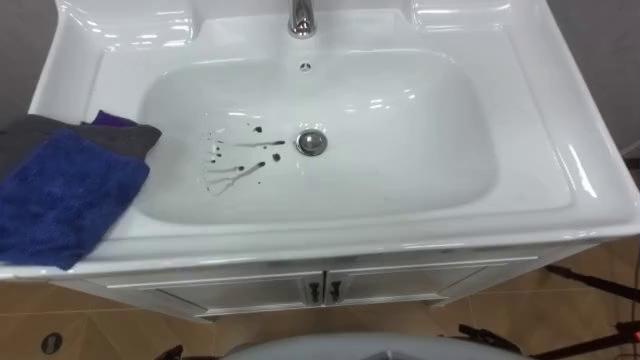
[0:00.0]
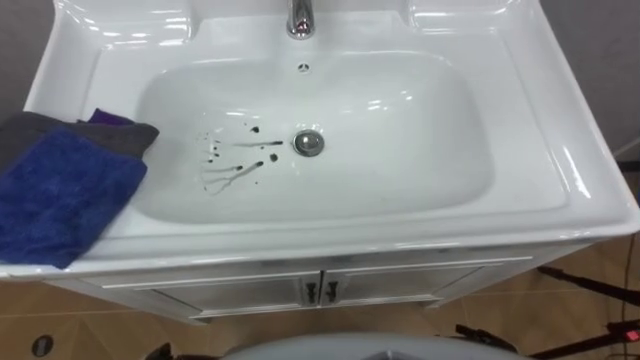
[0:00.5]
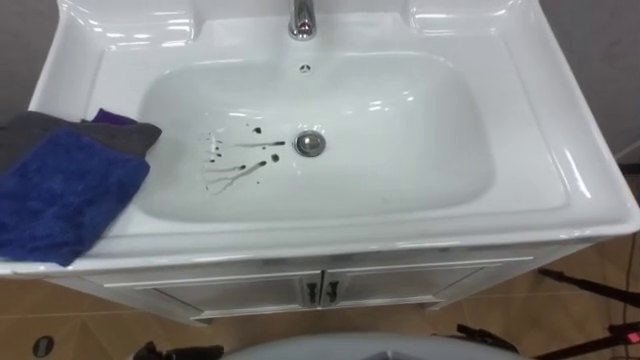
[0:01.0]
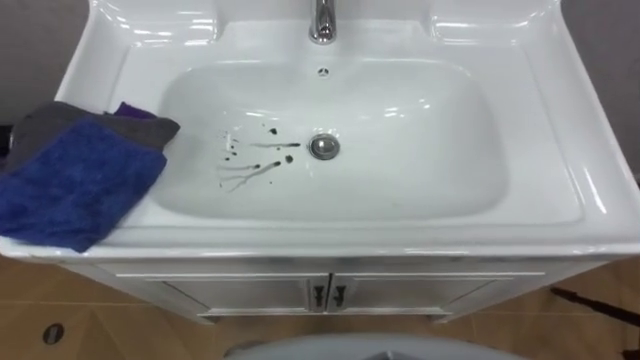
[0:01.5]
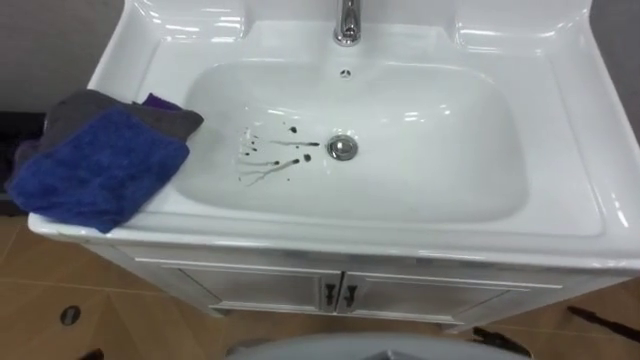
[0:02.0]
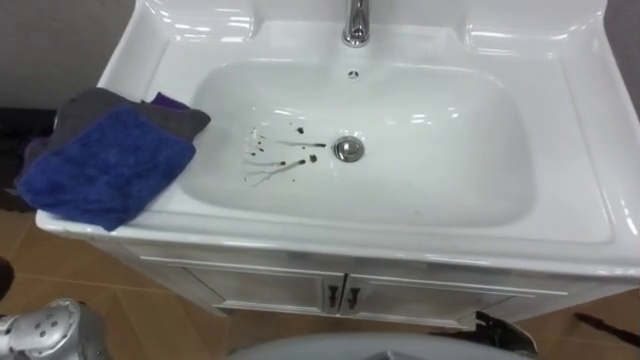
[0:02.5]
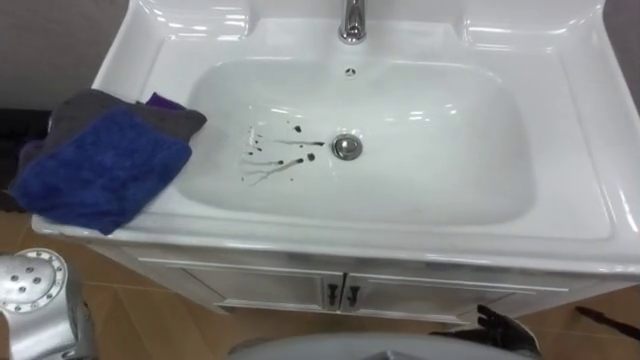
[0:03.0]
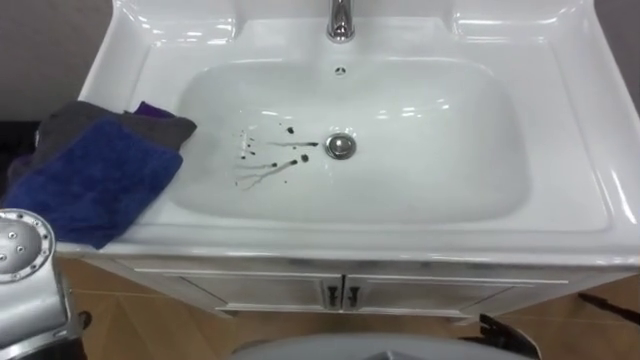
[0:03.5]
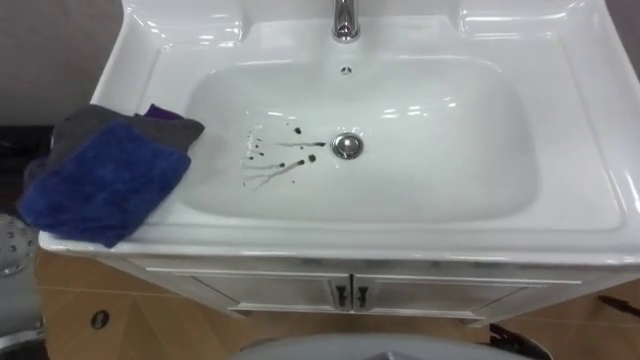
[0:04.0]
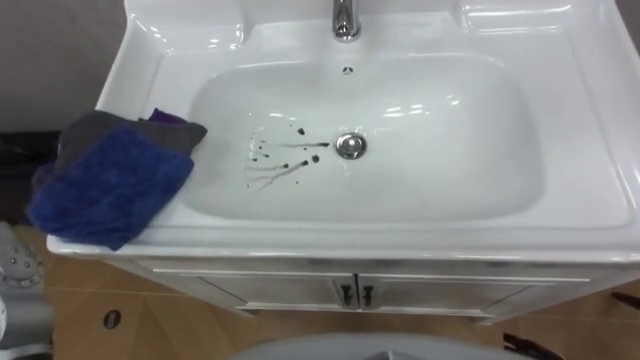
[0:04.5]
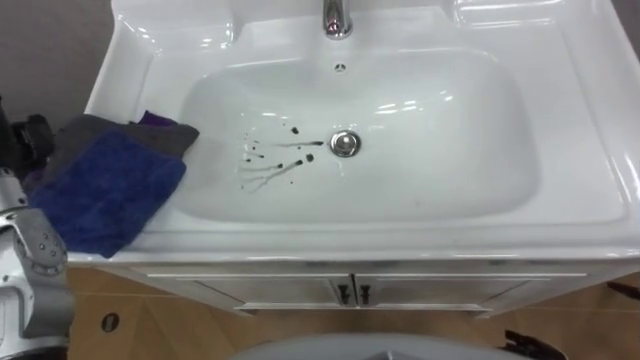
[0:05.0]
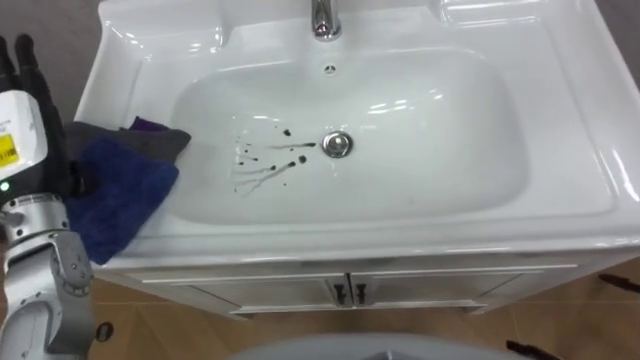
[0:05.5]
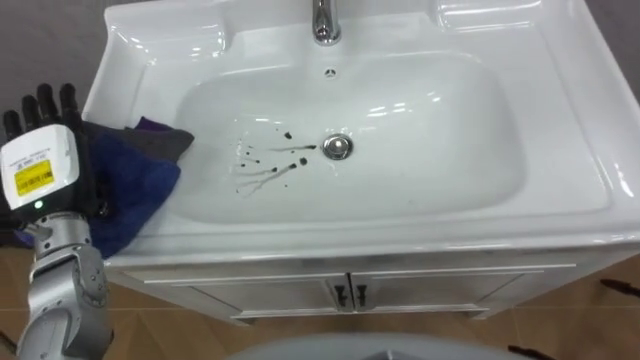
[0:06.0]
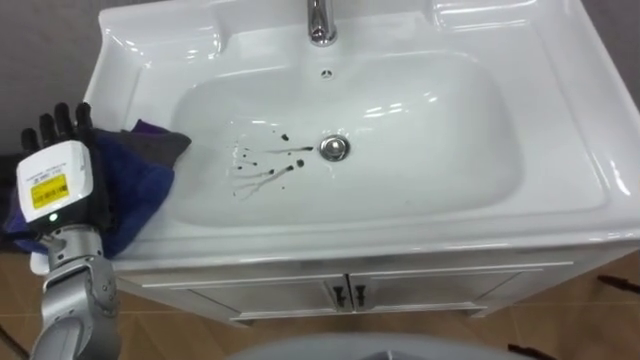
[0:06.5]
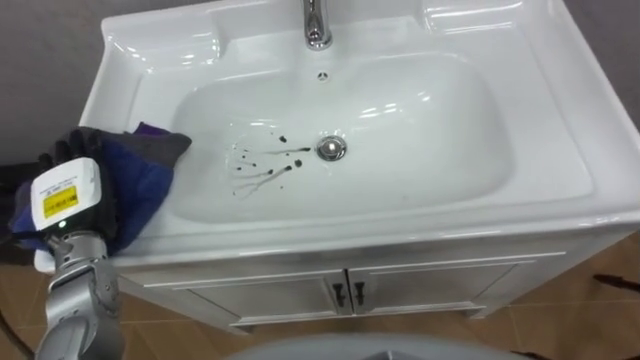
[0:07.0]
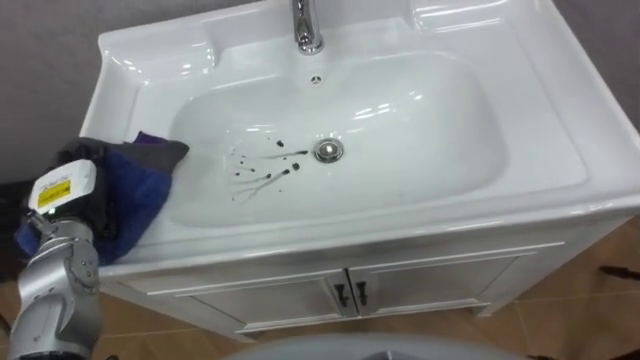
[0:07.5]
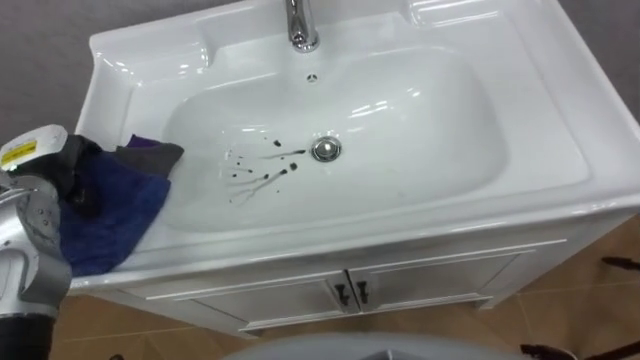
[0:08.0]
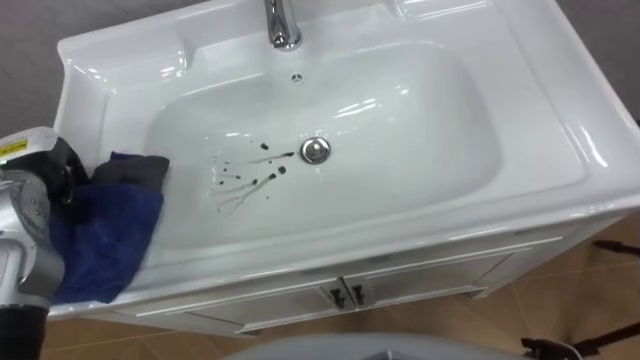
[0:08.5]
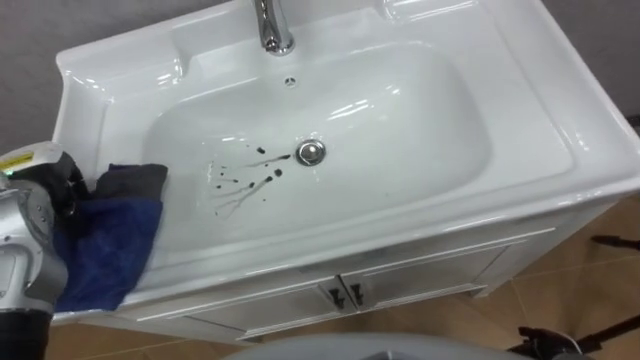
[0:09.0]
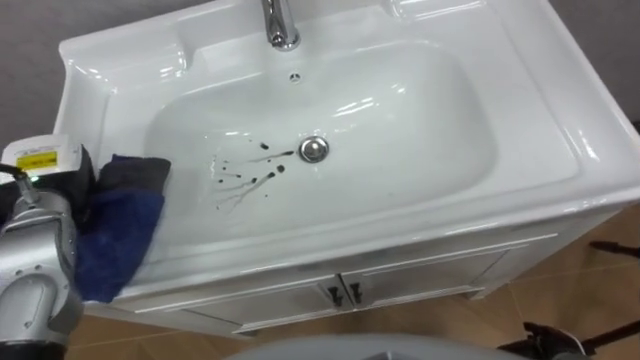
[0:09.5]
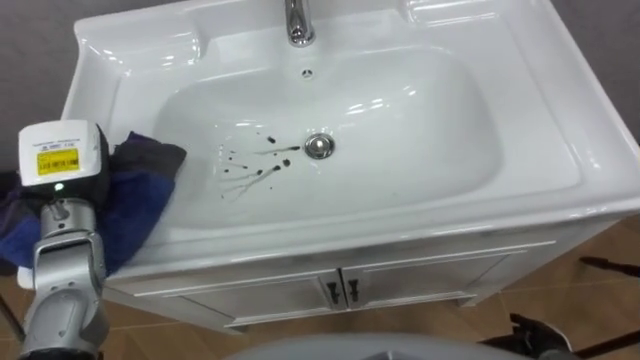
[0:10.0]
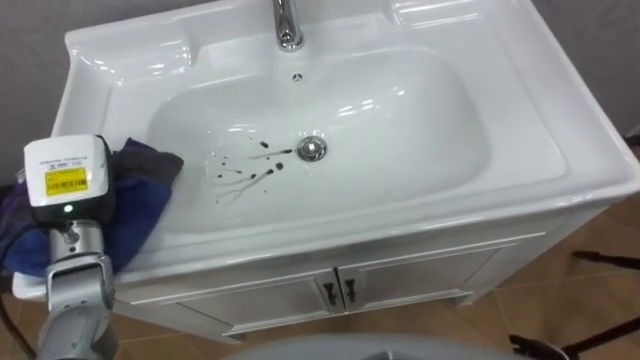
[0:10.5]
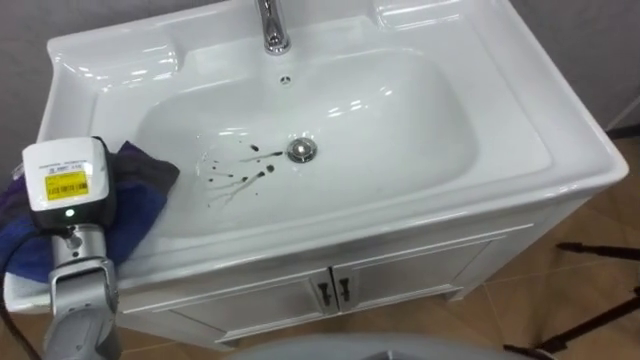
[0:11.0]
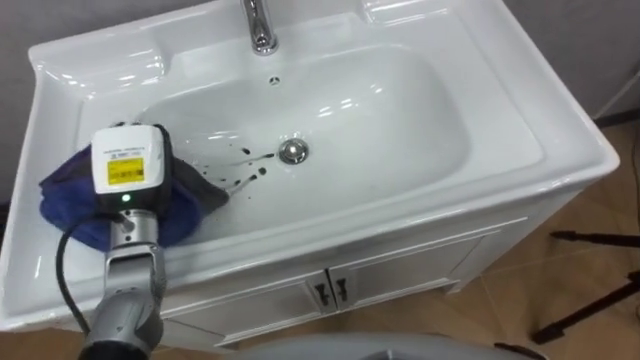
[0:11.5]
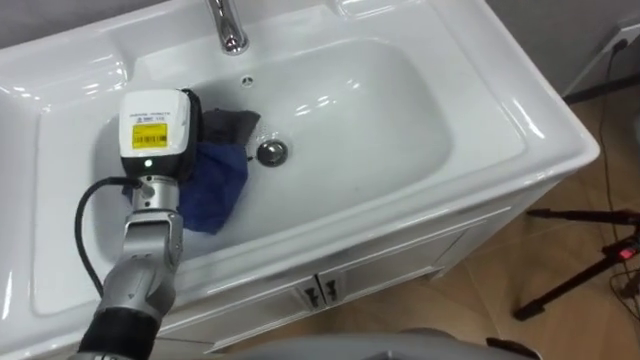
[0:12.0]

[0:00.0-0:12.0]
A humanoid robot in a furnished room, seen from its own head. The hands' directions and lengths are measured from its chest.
Task of the whole recording: Use the cloth on the right to wipe away the black stain in the sink.
0:08.0 to 0:10.0: The left hand closes.
0:10.0 to 0:12.0: The left hand goes roughly 10 cm to the right.

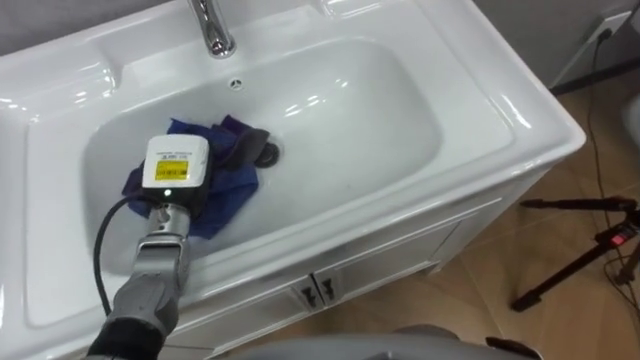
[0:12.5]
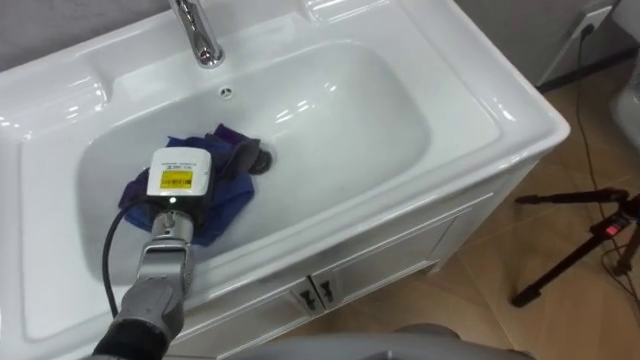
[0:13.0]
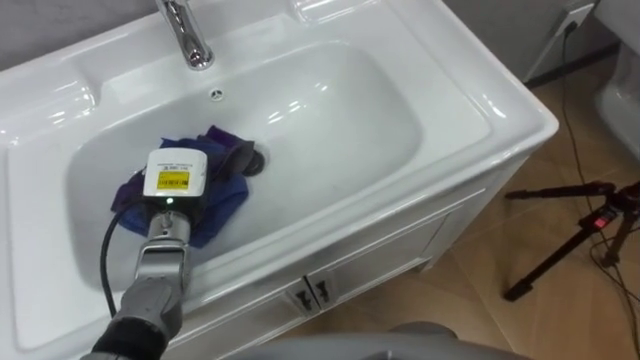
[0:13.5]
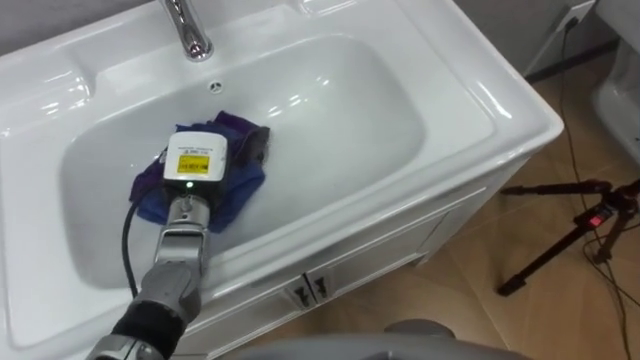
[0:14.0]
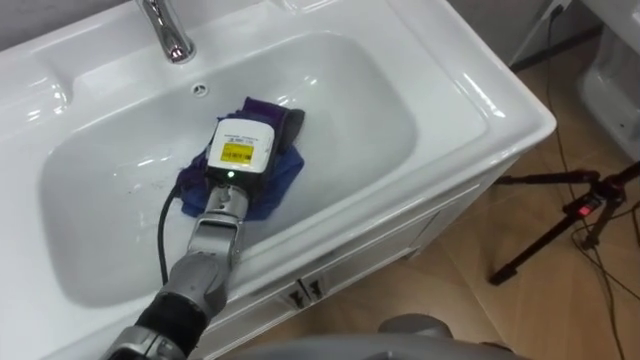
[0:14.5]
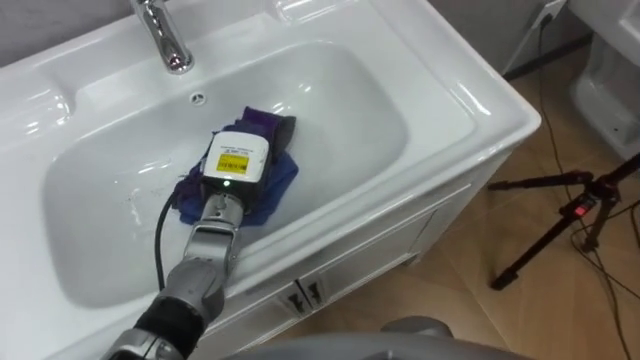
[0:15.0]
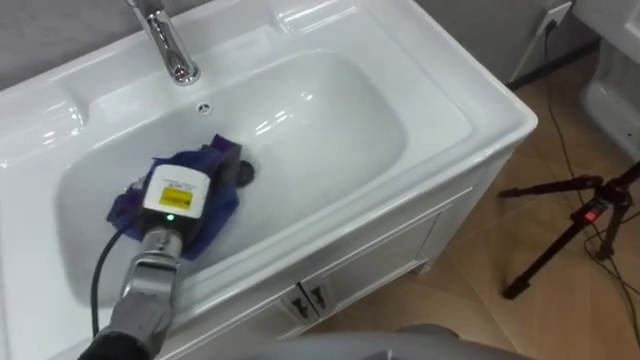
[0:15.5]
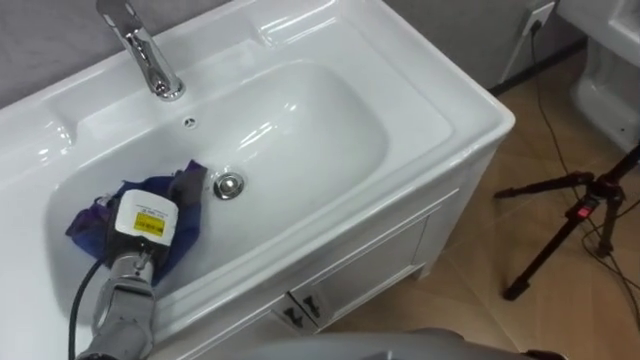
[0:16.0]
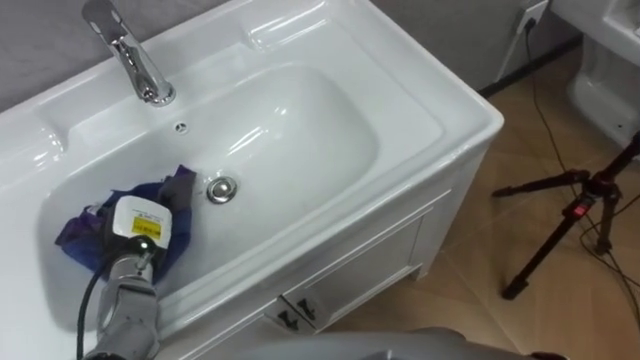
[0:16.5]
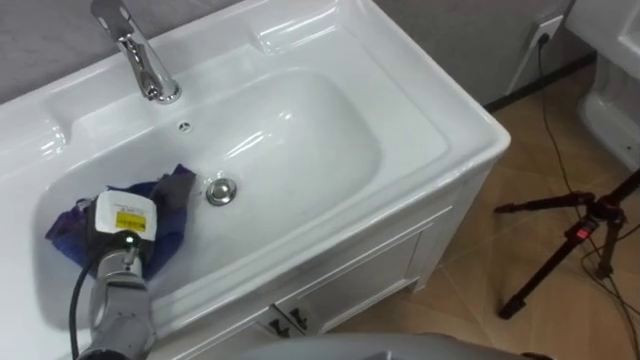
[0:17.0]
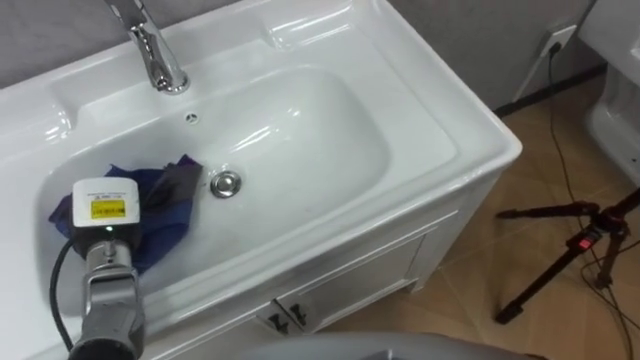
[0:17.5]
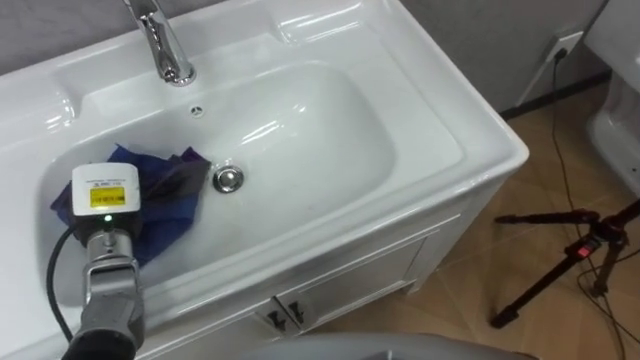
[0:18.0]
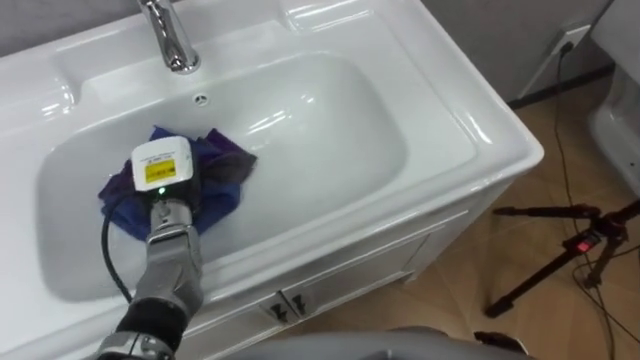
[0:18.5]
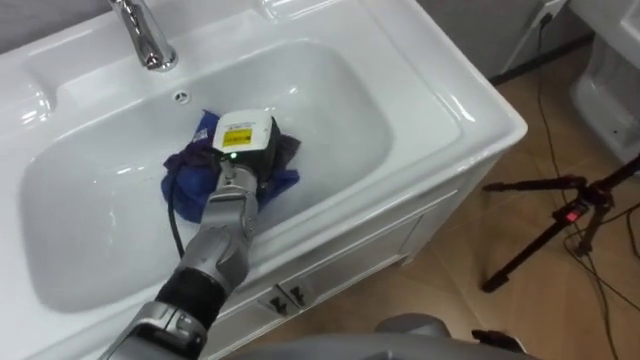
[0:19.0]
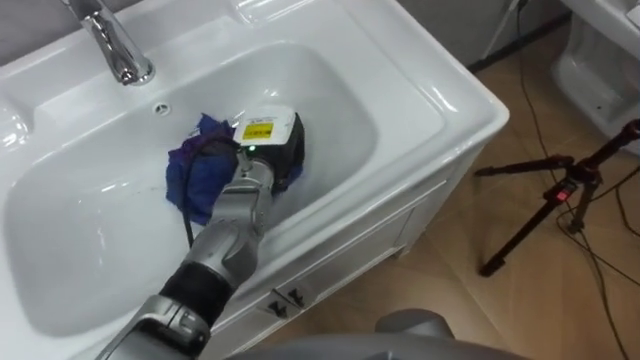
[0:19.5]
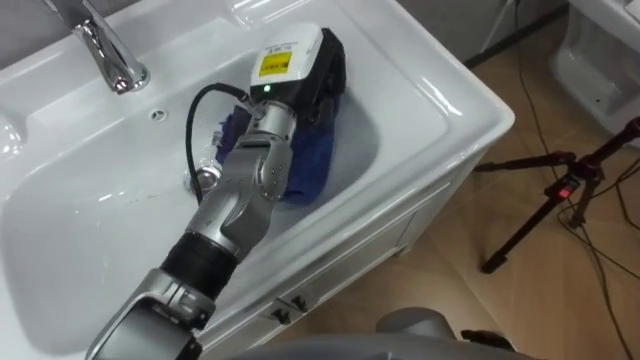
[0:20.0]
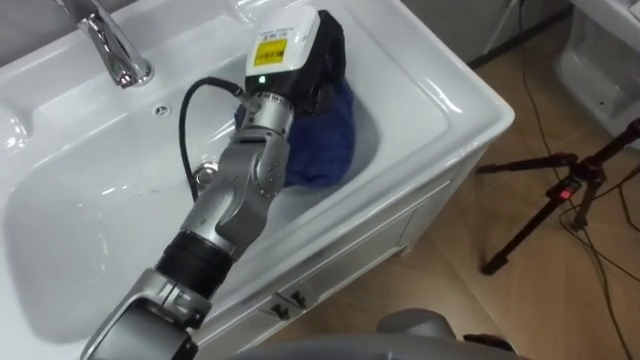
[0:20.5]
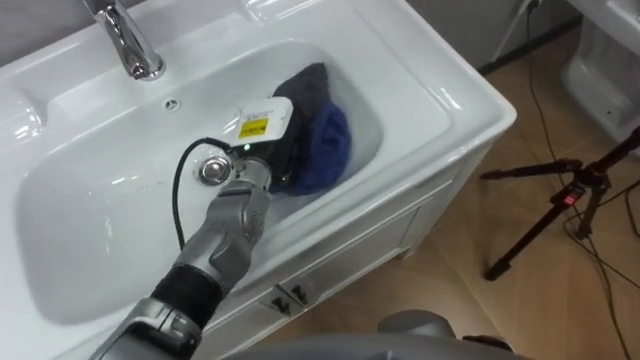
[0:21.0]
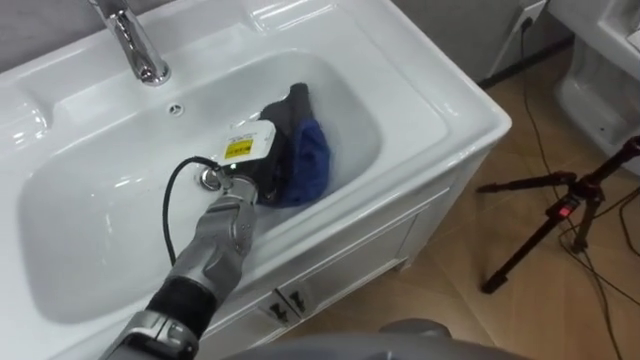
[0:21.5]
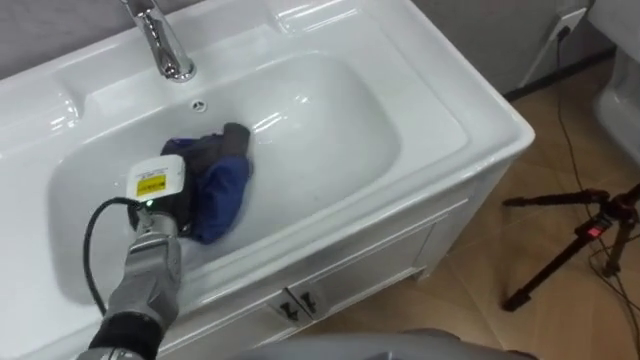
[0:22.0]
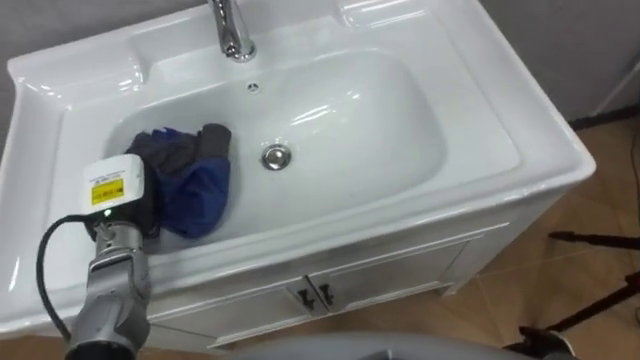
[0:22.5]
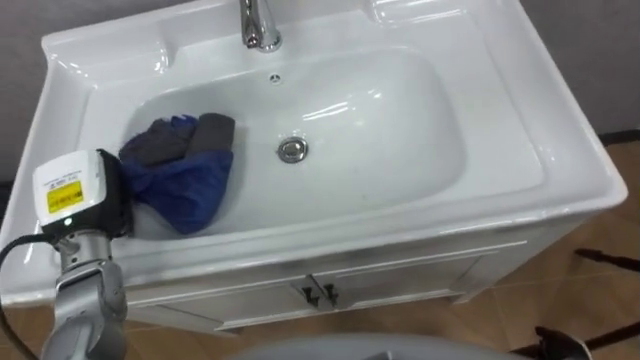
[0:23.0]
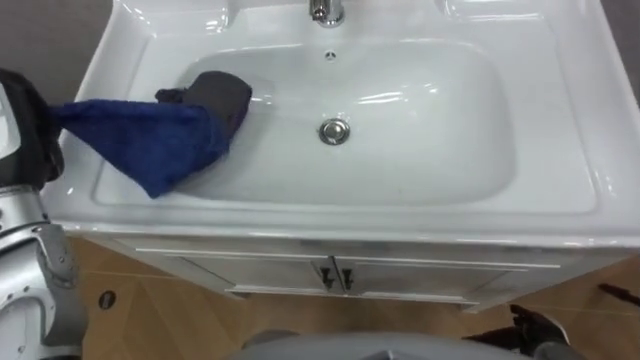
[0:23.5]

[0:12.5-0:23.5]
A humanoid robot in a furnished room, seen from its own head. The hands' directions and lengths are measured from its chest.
Task of the whole recording: Use the cloth on the right to wipe away the black stain in the sink.
0:12.5 to 0:14.5: The left hand is displaced to the right by approximately 10 cm.
0:14.5 to 0:16.0: The left hand travels to the left, backward and downward by some 20 cm.
0:16.0 to 0:18.0: The left hand moves some 5 cm.
0:18.0 to 0:20.0: The left hand goes approximately 30 cm to the right, upward and forward.
0:20.0 to 0:21.5: The left hand is displaced downward and to the left by approximately 15 cm.
